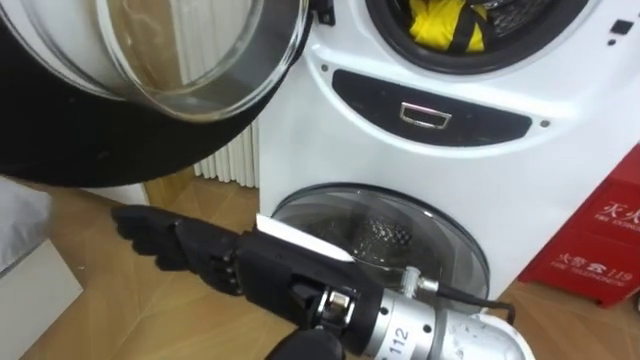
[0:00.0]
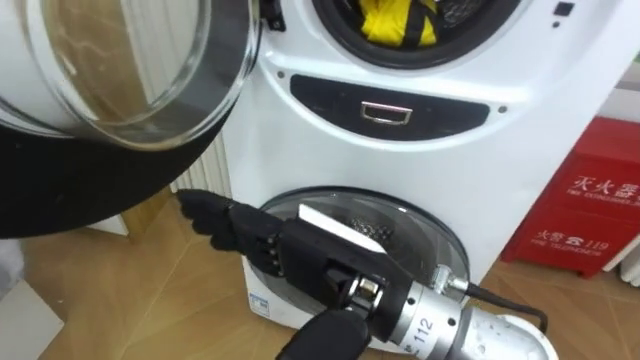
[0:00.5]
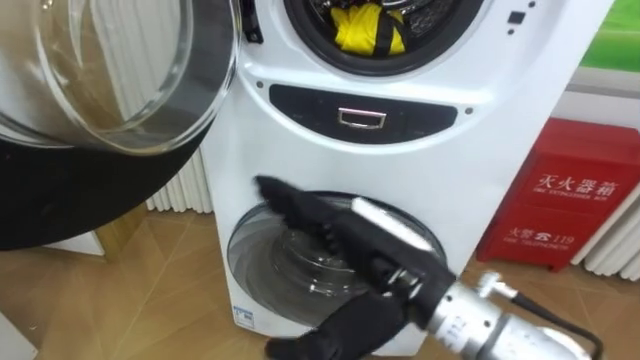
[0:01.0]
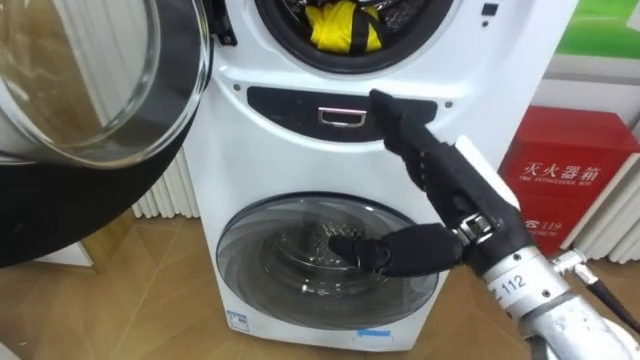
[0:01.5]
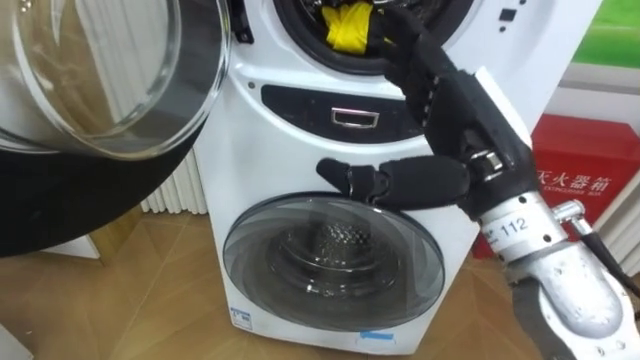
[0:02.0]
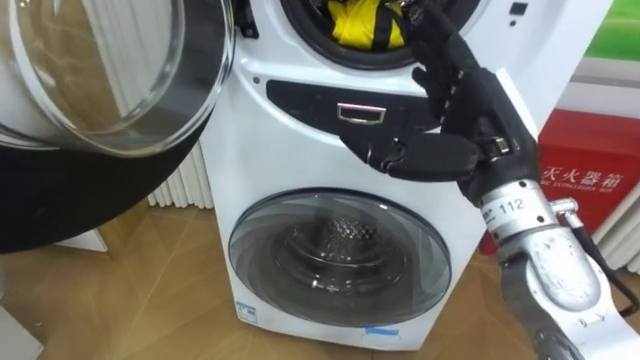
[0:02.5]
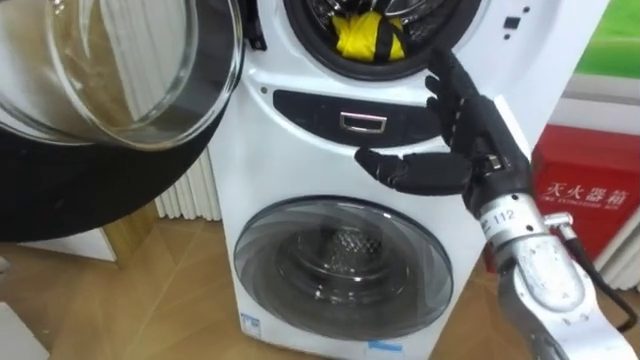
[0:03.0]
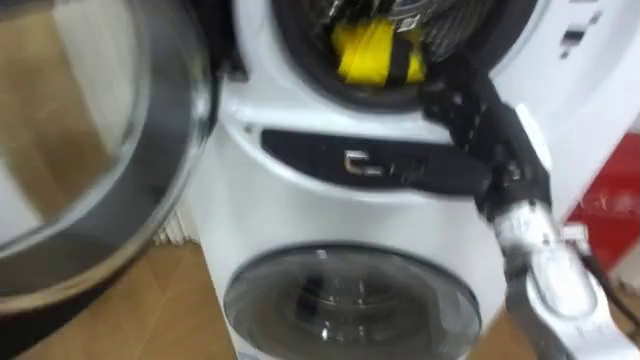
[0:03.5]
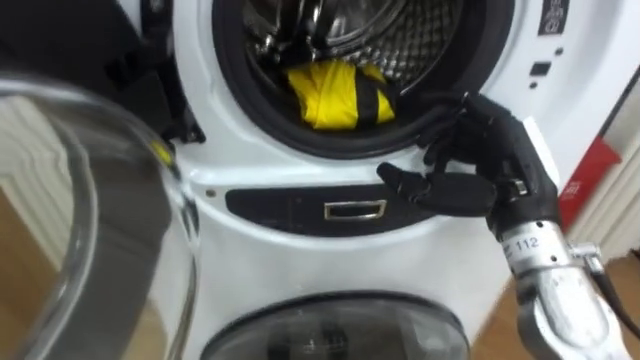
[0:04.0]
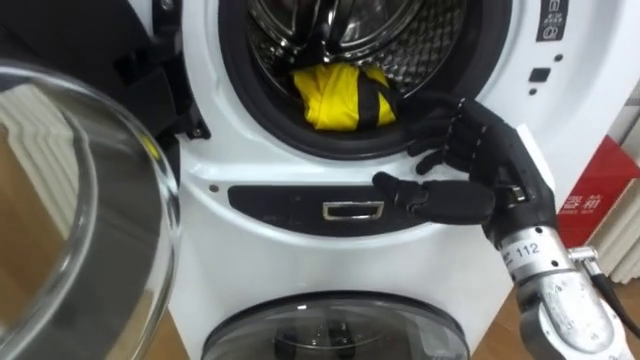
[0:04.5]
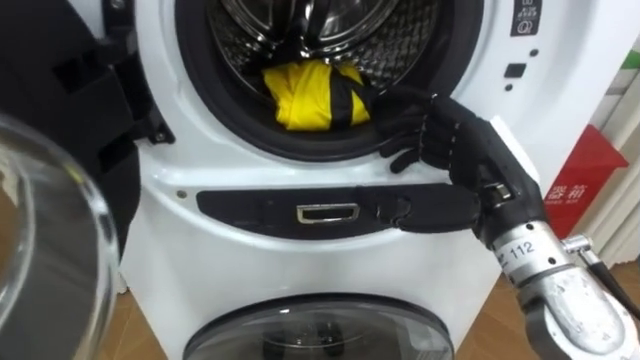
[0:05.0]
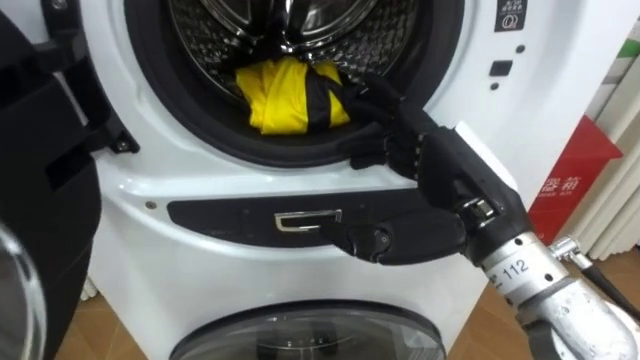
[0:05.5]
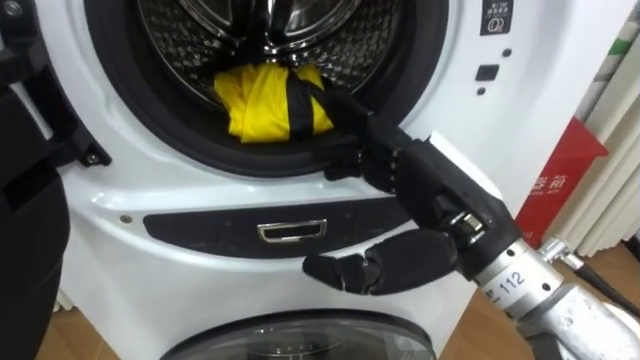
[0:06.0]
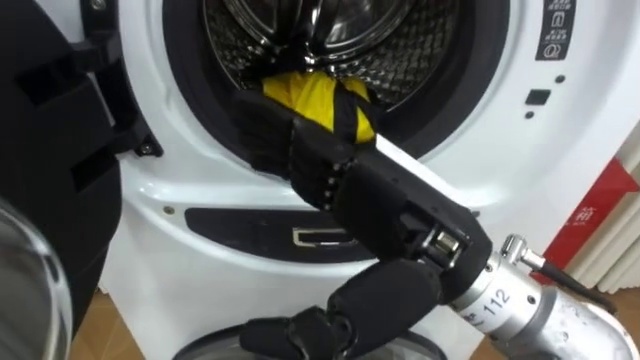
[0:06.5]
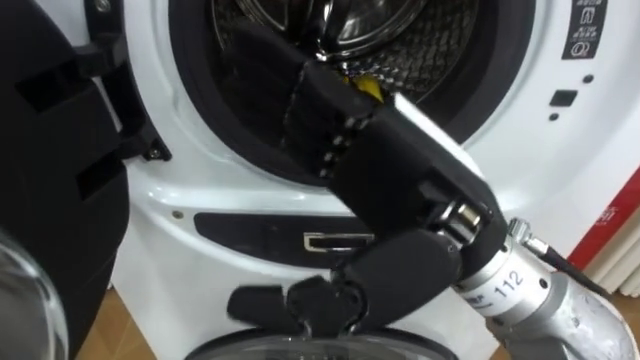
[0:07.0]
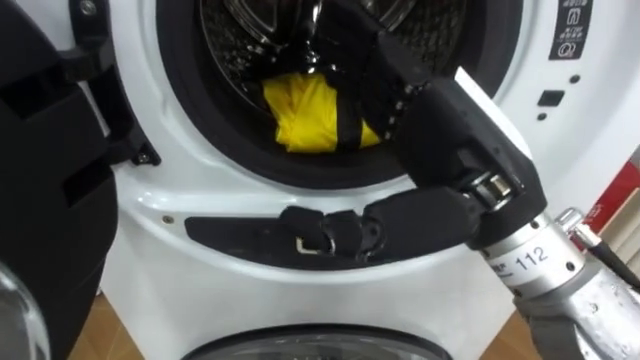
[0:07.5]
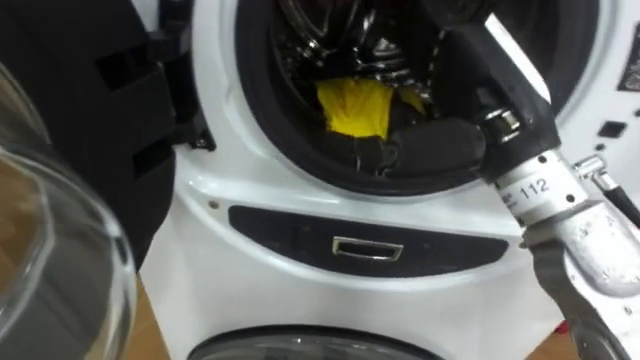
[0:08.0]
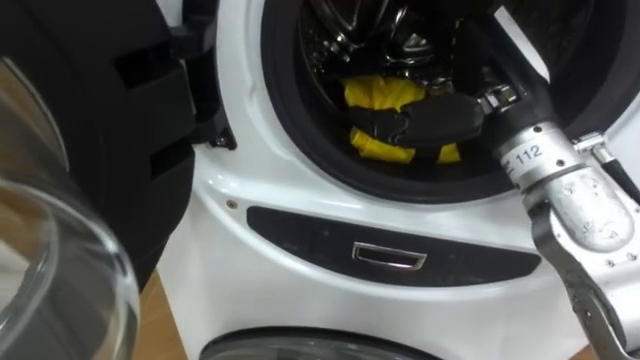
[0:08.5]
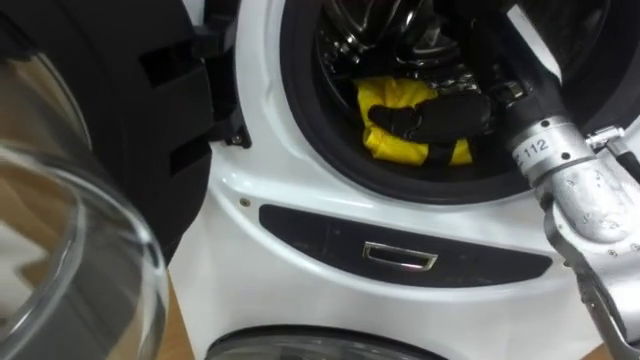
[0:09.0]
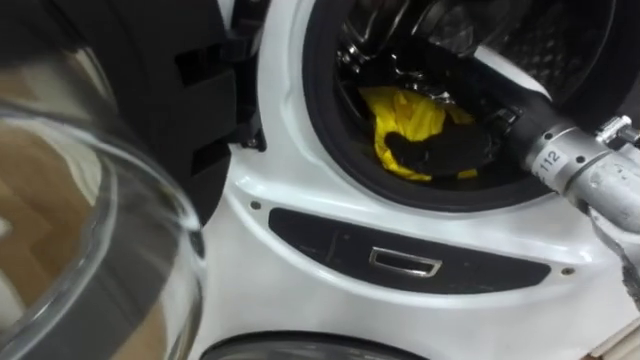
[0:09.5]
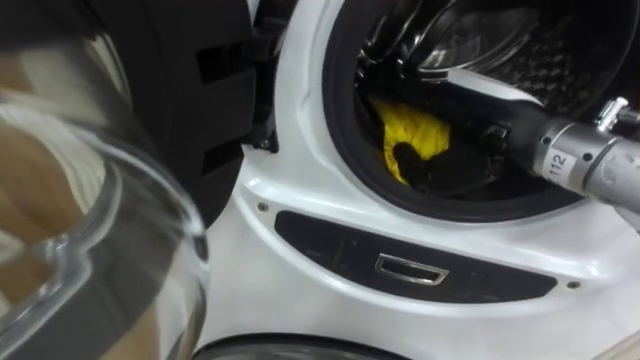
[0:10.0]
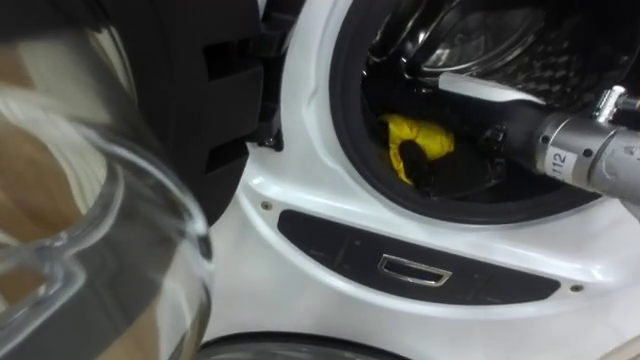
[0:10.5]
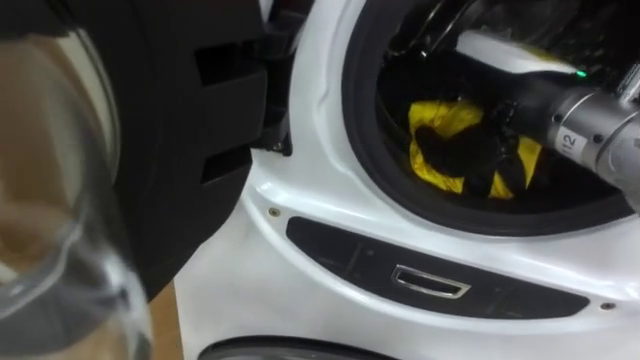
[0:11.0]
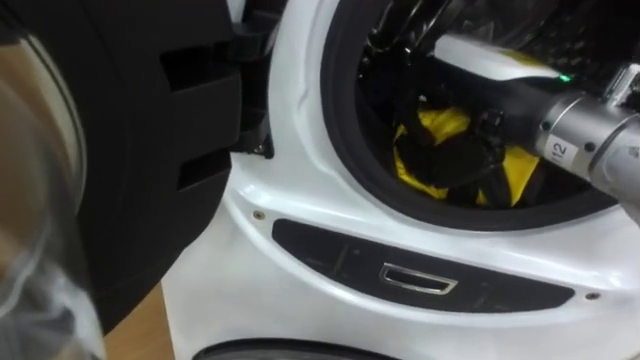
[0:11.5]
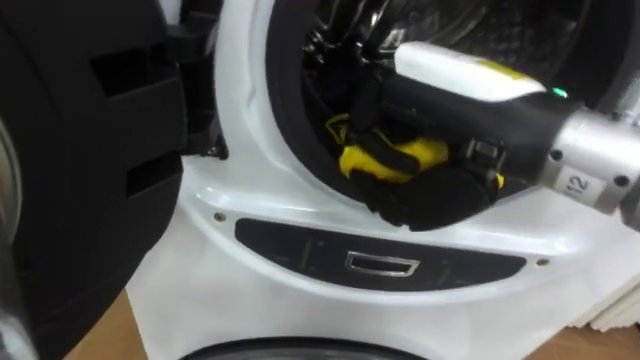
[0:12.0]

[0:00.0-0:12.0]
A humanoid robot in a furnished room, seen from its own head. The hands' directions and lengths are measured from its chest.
Task of the whole recording: Open the washing machine door, take out the yellow clothes, place them in the box on the right, and close the washing machine door.
0:00.0 to 0:02.0: The right hand is displaced to the right and forward by roughly 15 cm.
0:02.0 to 0:04.0: The right hand moves downward and to the right, approximately 10 cm.
0:04.0 to 0:06.0: The right hand shifts roughly 10 cm to the left and backward.
0:06.0 to 0:08.0: The right hand travels upward by some 5 cm.
0:08.0 to 0:10.0: The right hand shifts by approximately 5 cm.
0:10.0 to 0:12.0: The right hand goes roughly 10 cm backward, upward and to the left, and closes.

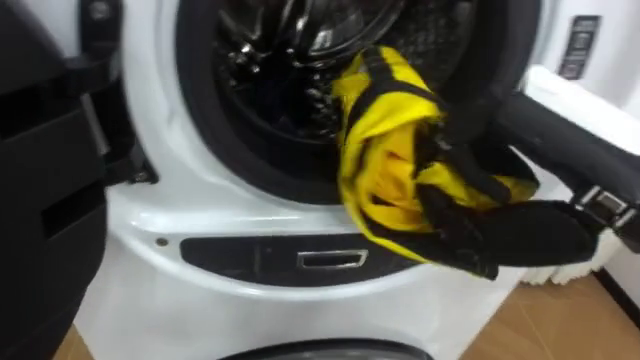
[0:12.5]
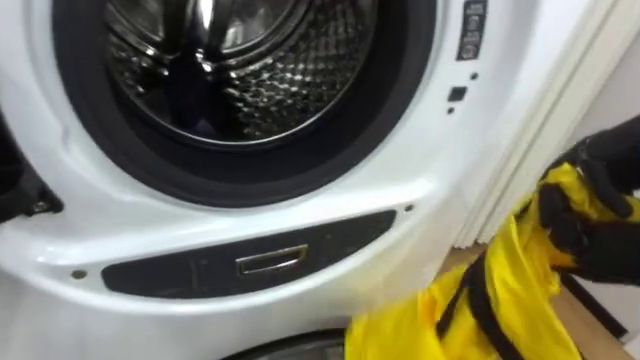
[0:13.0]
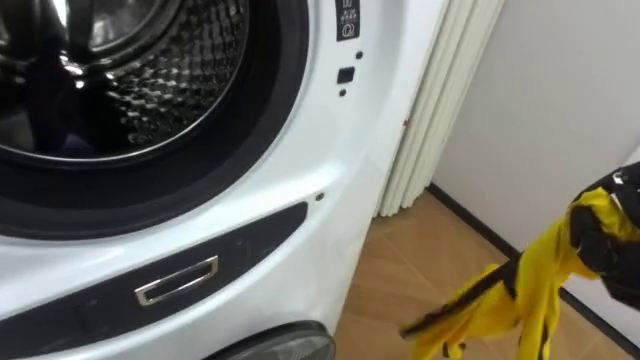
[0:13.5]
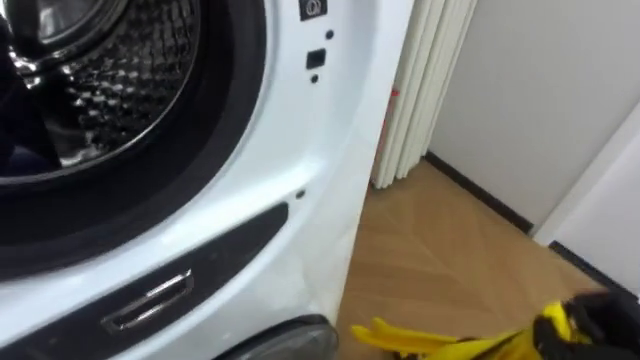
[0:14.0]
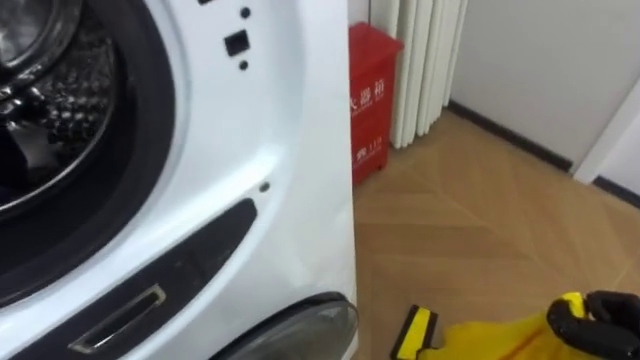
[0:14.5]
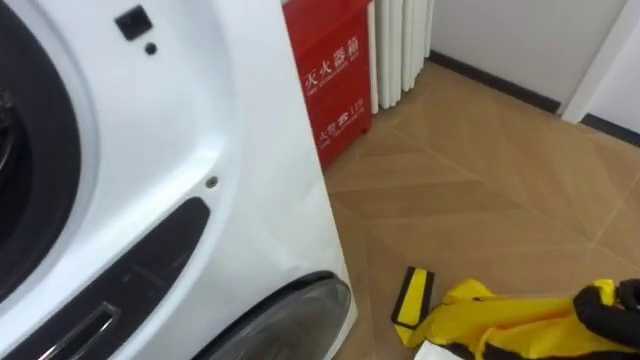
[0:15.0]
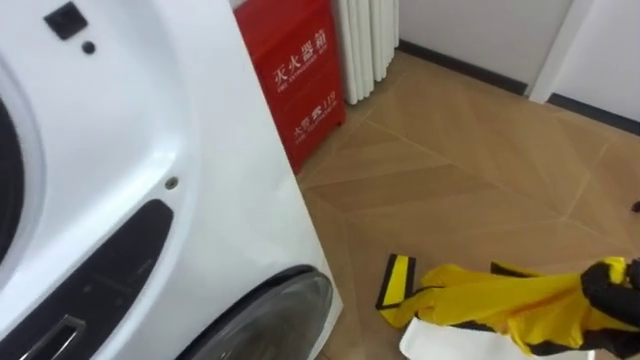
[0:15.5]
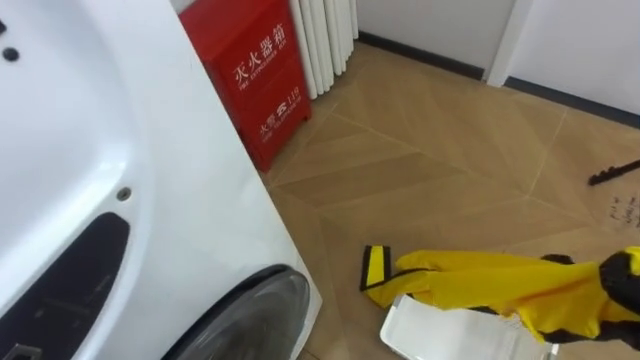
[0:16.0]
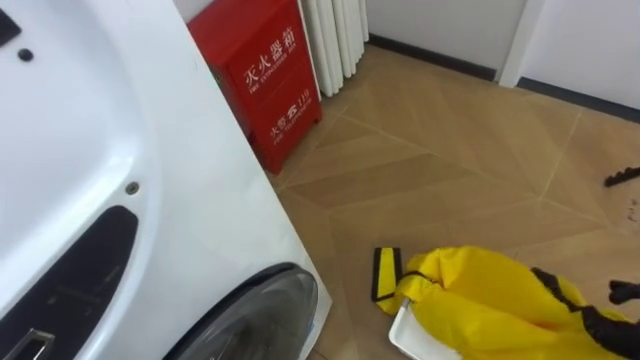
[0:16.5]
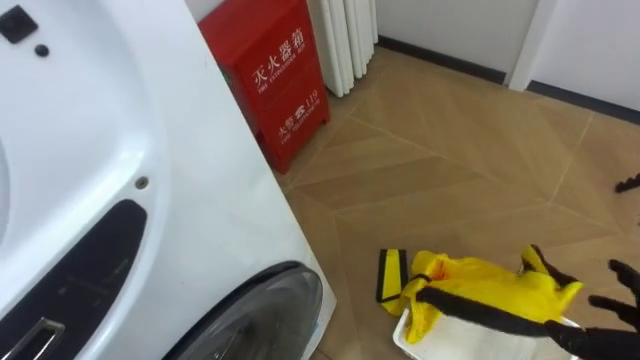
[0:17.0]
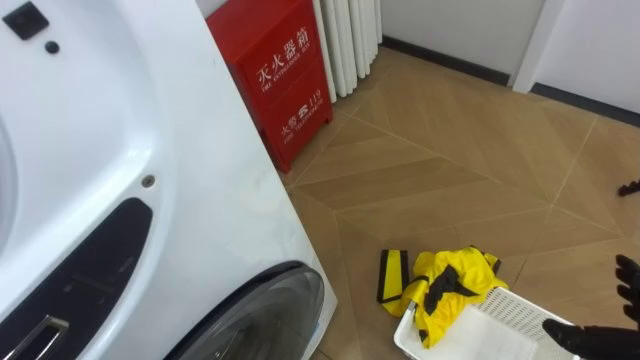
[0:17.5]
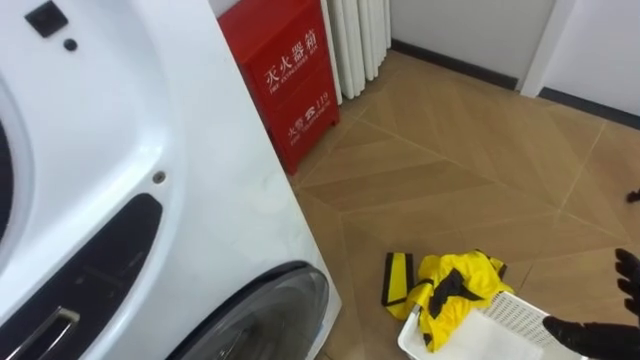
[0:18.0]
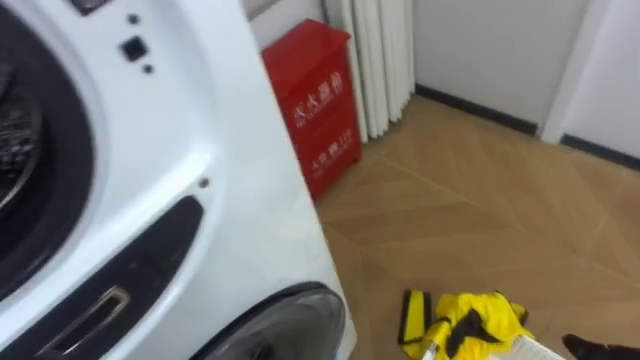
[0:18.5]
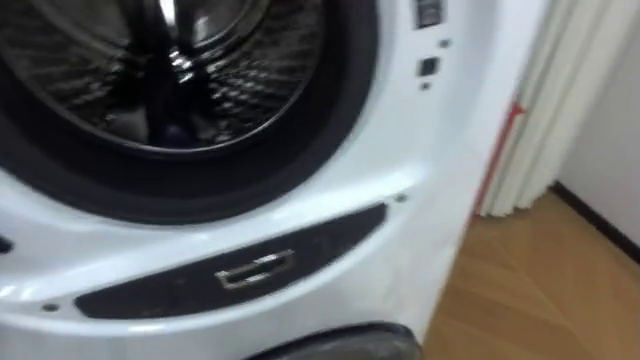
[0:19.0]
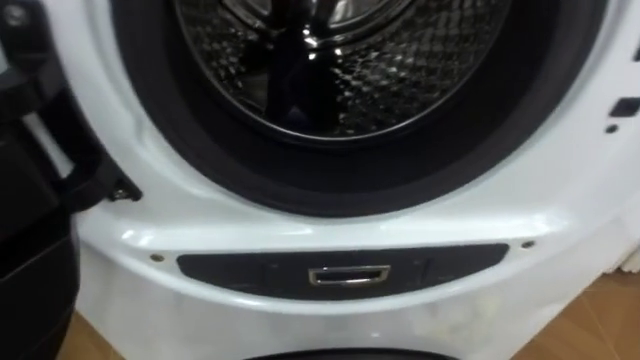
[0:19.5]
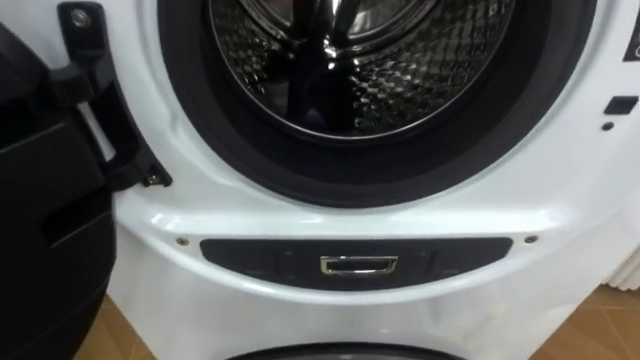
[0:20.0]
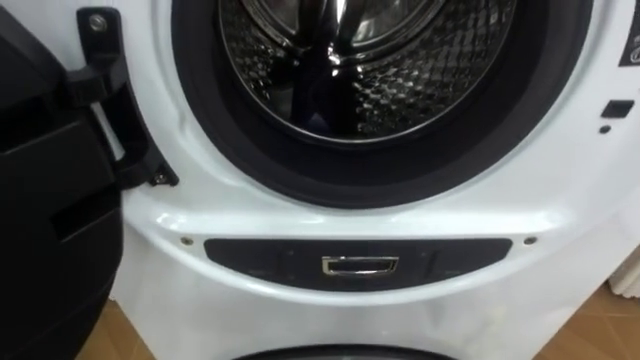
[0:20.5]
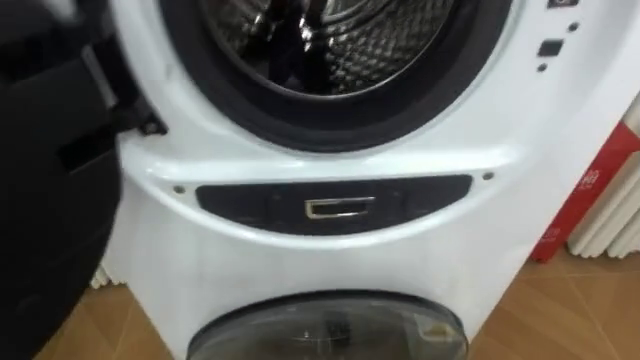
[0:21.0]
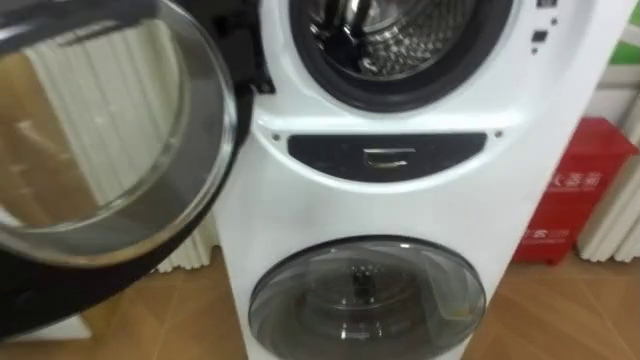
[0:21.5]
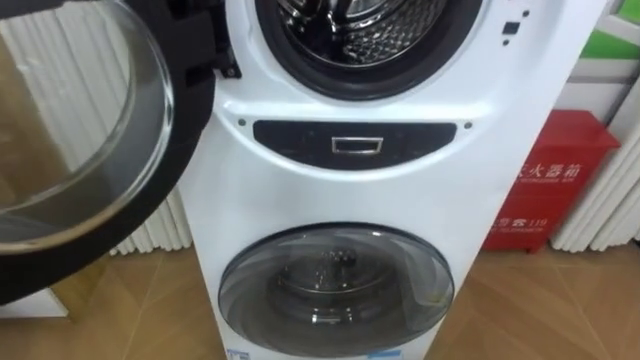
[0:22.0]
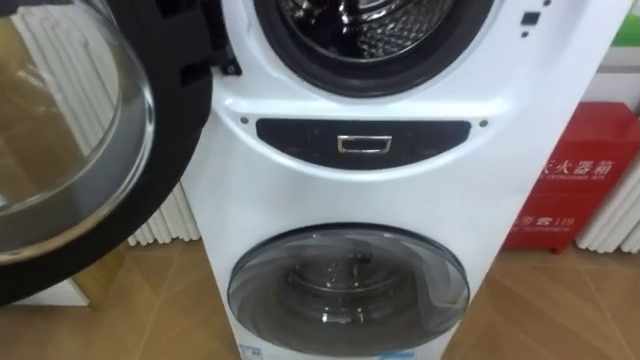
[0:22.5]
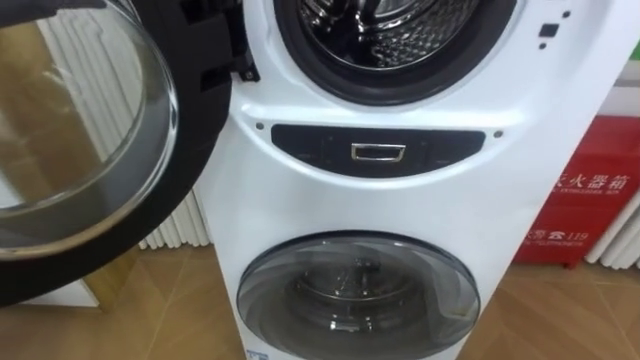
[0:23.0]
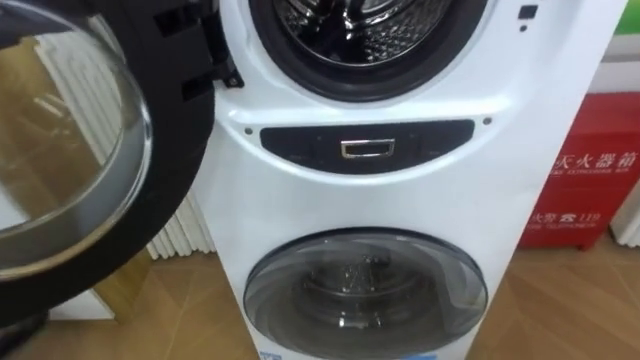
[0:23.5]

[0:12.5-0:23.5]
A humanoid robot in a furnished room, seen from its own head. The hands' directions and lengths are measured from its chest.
Task of the whole recording: Open the washing machine door, take out the yellow clothes, place them in the box on the right, and close the washing machine door.
0:12.5 to 0:14.5: The robot's body swings about 20 degrees to its right.
